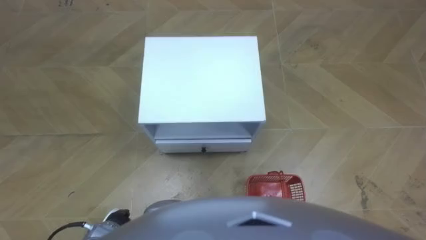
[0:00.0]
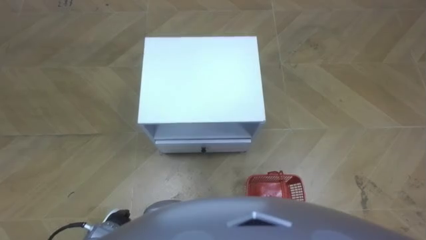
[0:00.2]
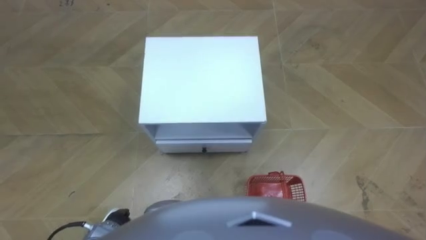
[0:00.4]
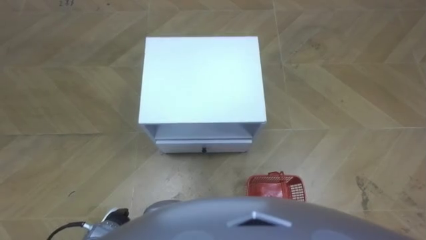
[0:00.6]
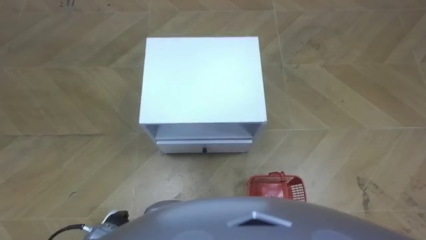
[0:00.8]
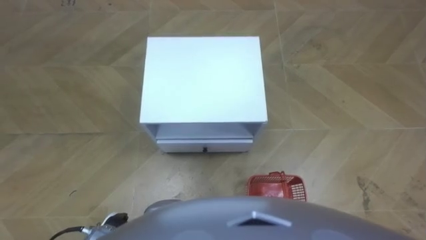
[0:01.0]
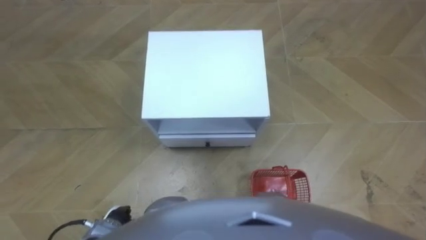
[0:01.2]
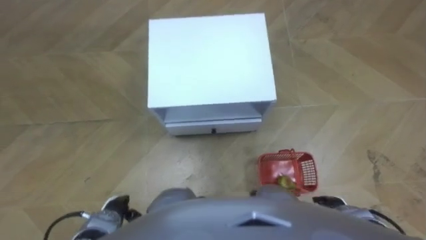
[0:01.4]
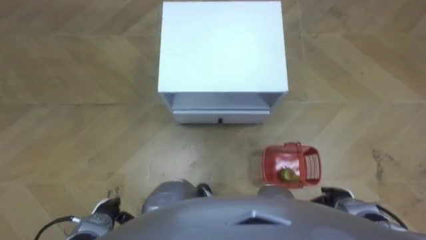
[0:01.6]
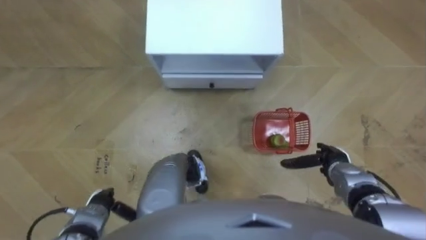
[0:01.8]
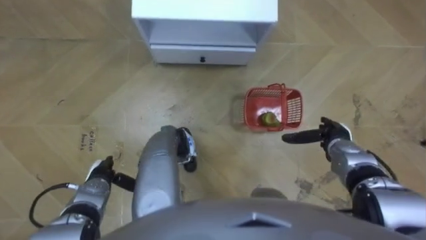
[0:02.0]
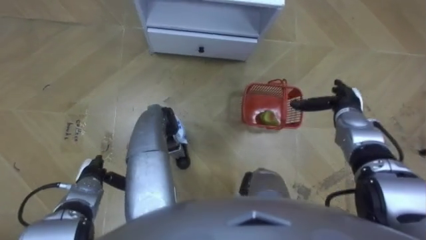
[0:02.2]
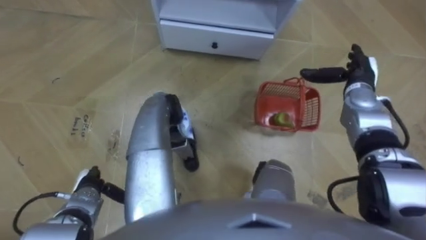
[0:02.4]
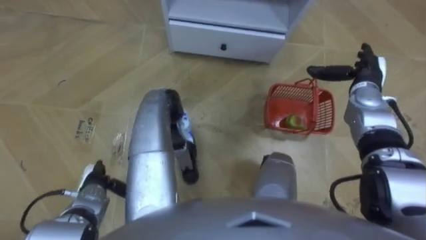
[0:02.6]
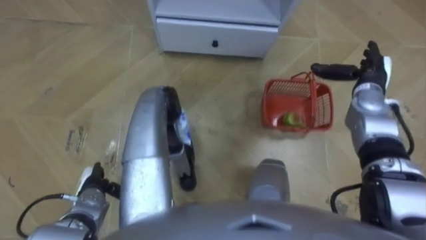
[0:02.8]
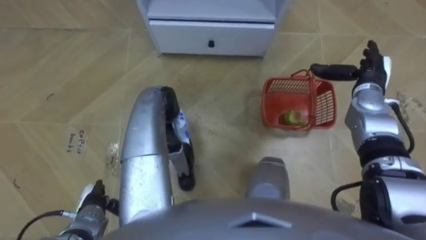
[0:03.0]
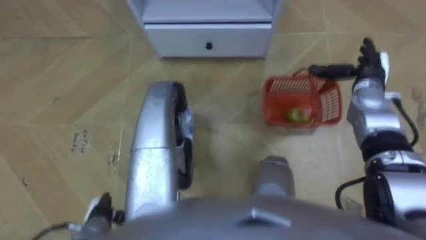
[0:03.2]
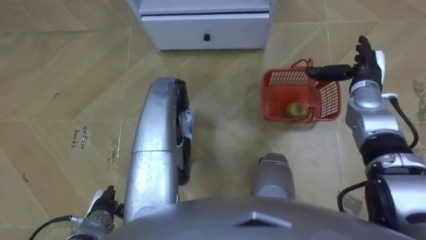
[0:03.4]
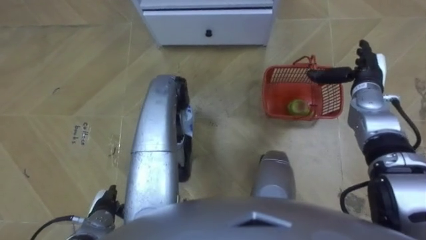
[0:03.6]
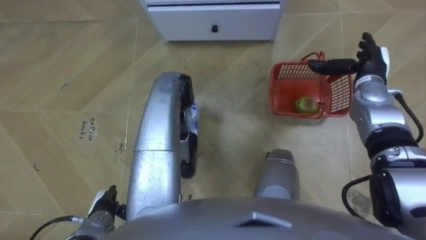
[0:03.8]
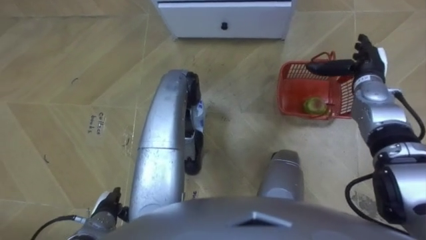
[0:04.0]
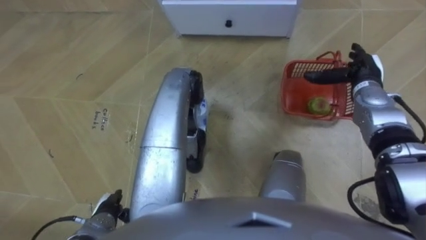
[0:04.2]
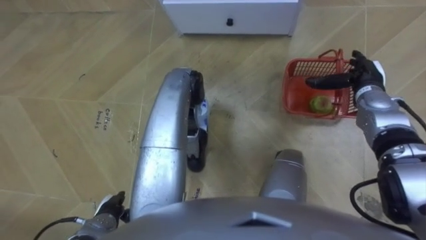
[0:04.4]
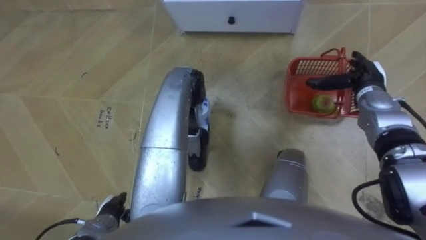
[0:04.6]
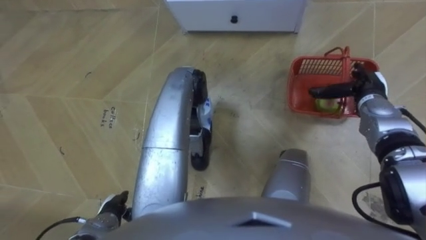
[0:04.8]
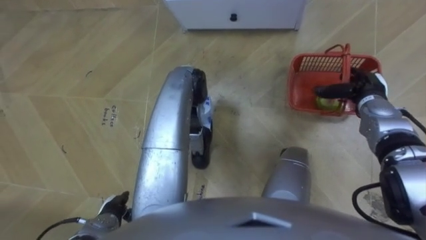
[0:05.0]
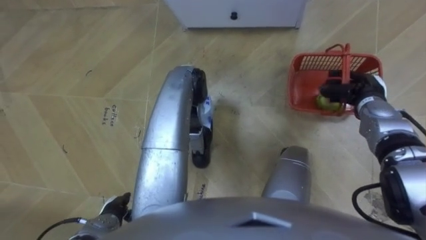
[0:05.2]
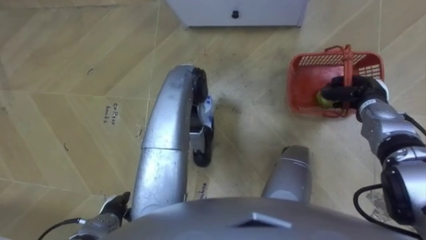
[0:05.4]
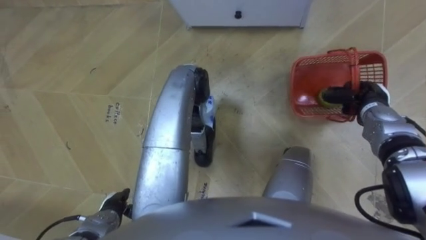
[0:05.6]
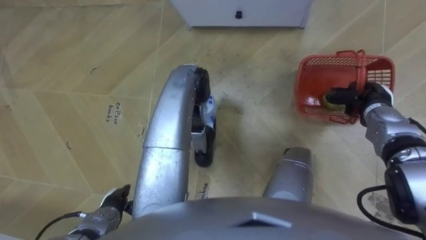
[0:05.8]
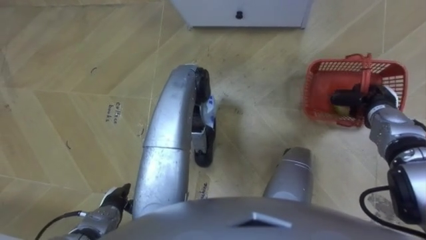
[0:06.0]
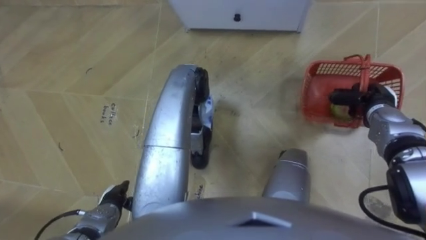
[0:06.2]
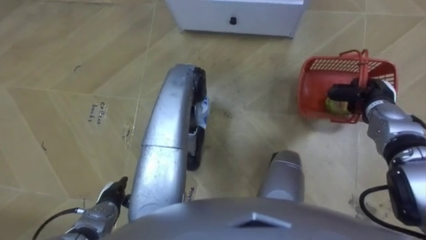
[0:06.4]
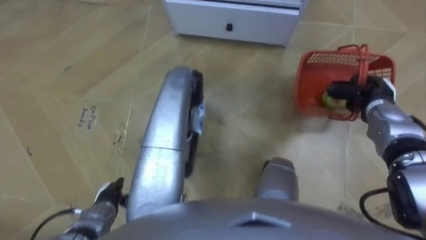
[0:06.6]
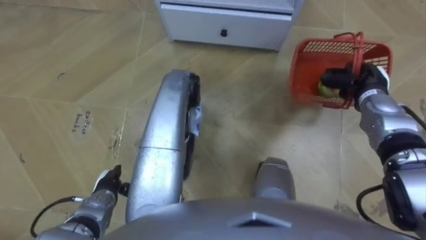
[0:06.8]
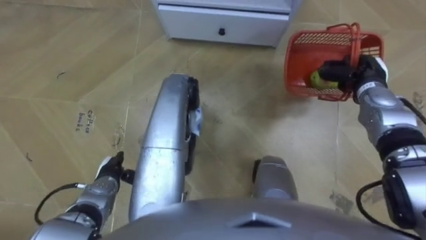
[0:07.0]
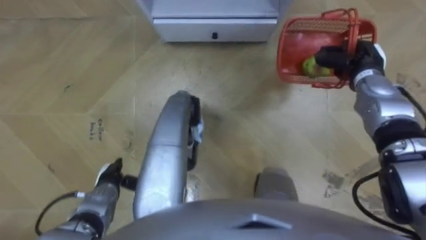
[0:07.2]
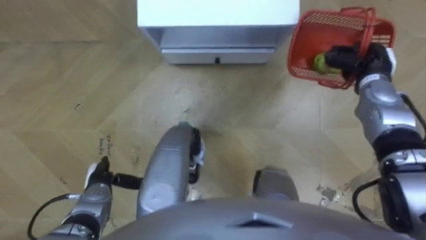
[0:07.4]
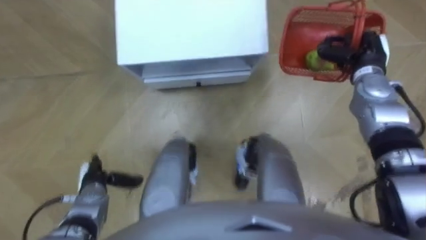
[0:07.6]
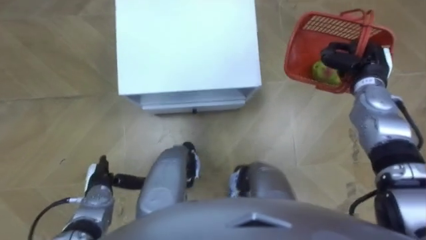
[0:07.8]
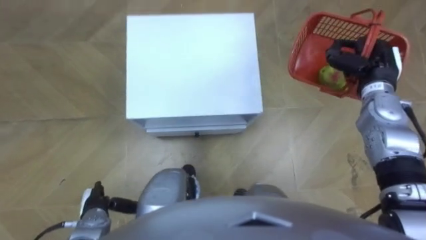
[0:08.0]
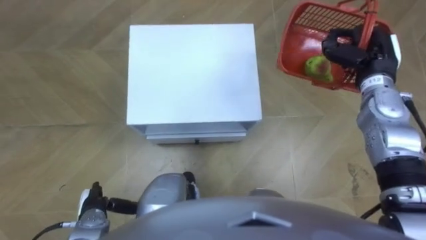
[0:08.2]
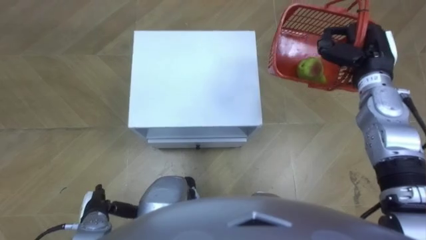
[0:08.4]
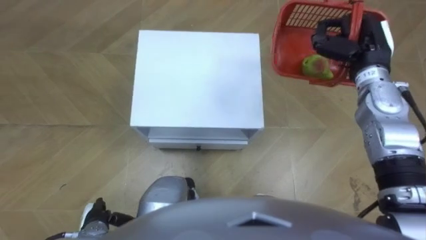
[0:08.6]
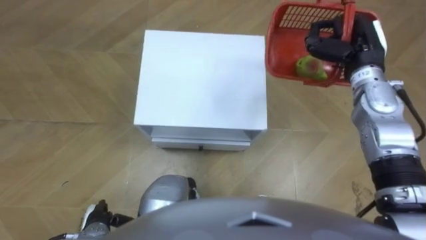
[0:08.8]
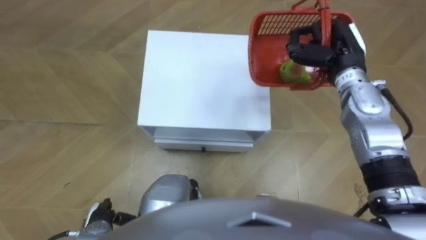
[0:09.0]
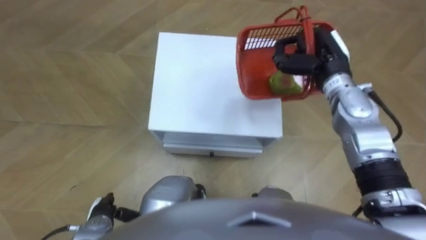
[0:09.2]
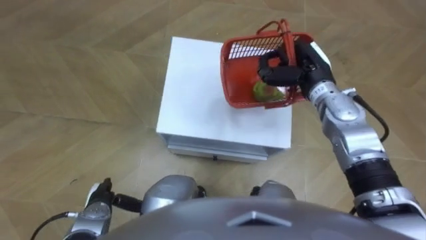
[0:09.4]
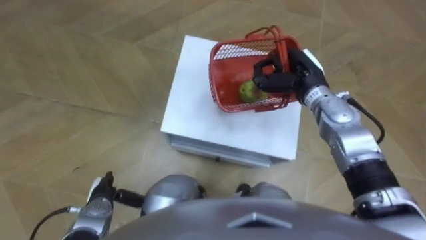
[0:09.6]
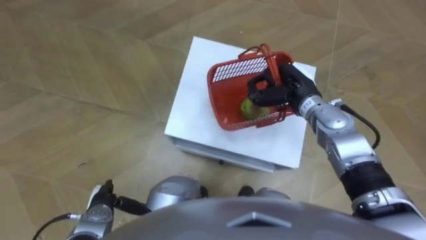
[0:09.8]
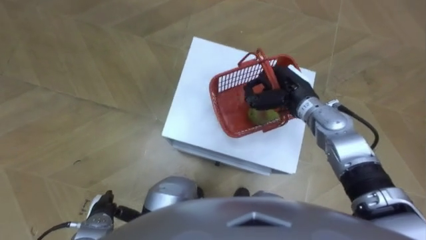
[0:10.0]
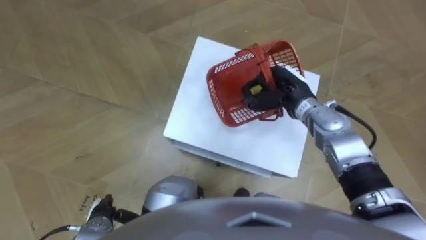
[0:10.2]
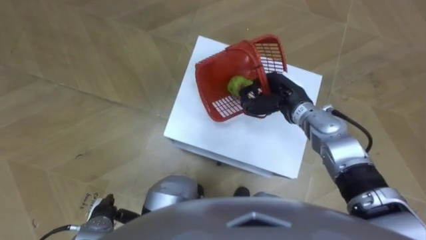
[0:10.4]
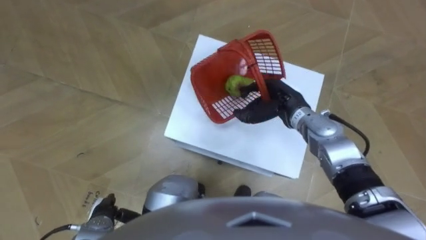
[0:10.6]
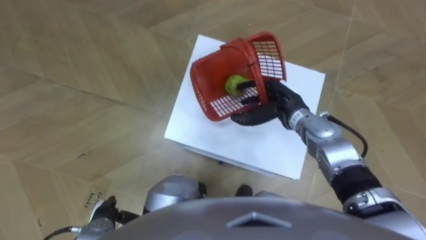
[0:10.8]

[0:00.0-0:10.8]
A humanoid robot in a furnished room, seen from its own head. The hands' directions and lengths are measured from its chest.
Task of the whole recording: Pick up the fruit basket from the floor and place it on the cabinet.
0:01.6 to 0:03.0: The left hand moves roughly 10 cm forward and comes back. Meanwhile the right hand heads forward and upward, covering approximately 30 cm.
0:04.6 to 0:06.2: The right hand changes place by some 5 cm, and closes up.
0:06.2 to 0:07.8: The right hand goes about 5 cm upward. The left hand ends up roughly 5 cm from where it was.
0:07.8 to 0:09.2: The left hand travels backward by approximately 5 cm. Meanwhile the right hand travels to the left by about 10 cm.
0:09.2 to 0:10.8: The right hand heads downward and to the left, covering some 10 cm, and opens its fingers.

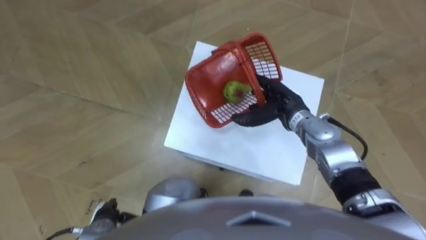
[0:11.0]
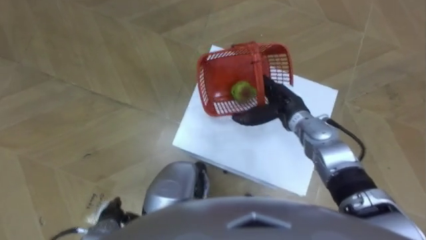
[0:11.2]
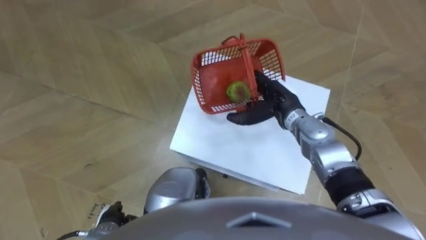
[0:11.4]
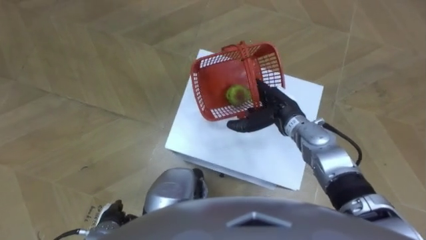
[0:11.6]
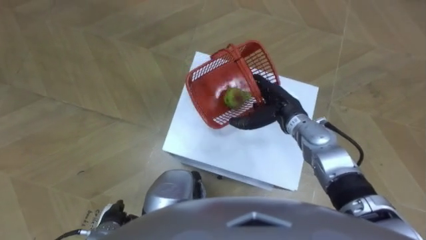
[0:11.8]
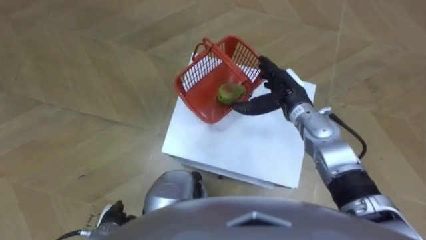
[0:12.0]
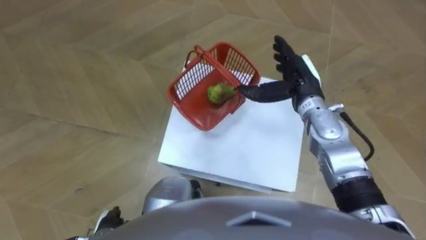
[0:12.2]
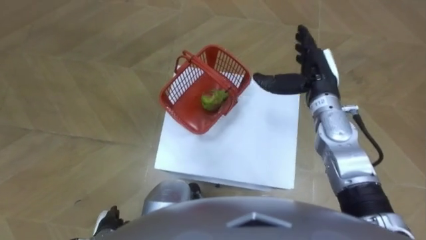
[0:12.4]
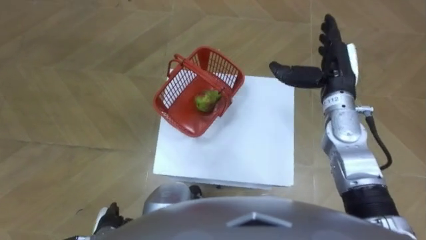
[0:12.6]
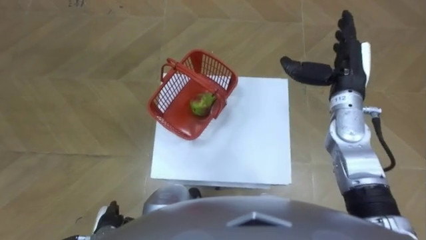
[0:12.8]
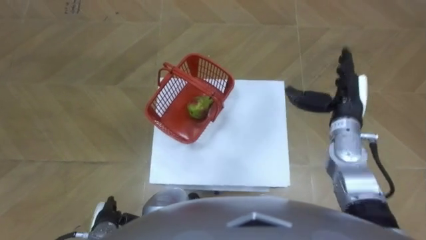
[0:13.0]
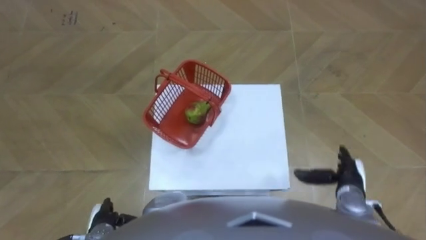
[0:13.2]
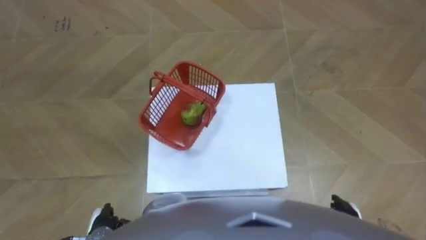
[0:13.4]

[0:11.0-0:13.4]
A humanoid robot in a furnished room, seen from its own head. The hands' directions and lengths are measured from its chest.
Task of the whole recording: Pick up the fruit basket from the floor and place it on the cabinet.
0:11.0 to 0:12.2: The right hand moves upward, some 5 cm.
0:12.2 to 0:13.4: The right hand is displaced backward, downward and to the right by roughly 35 cm.

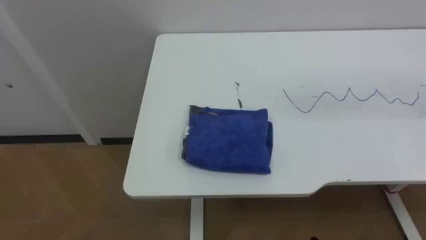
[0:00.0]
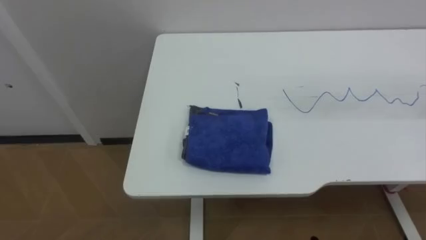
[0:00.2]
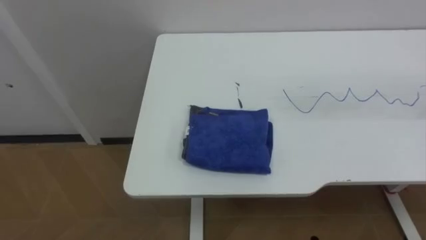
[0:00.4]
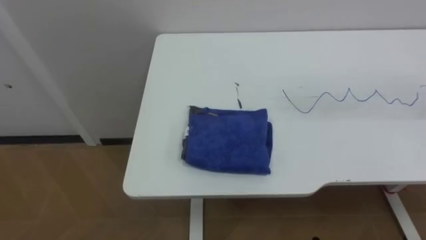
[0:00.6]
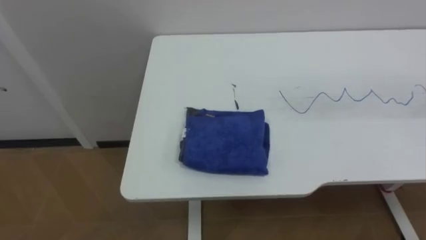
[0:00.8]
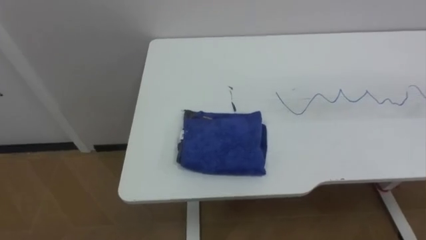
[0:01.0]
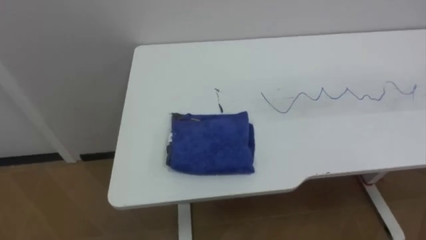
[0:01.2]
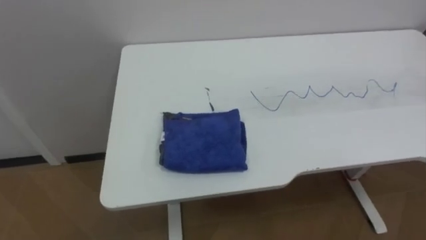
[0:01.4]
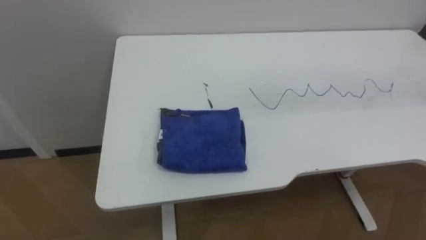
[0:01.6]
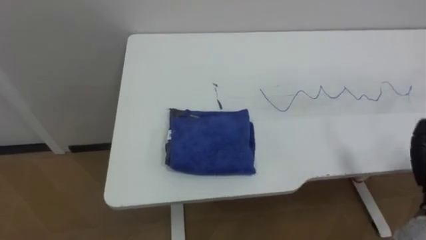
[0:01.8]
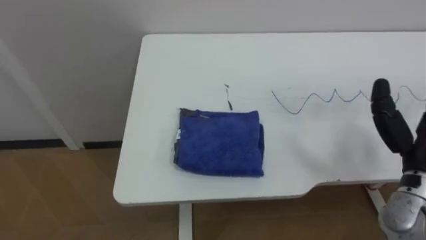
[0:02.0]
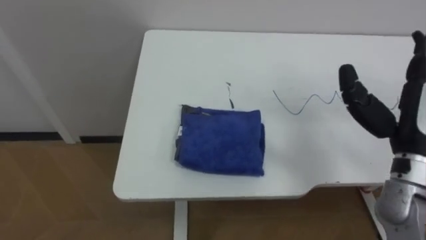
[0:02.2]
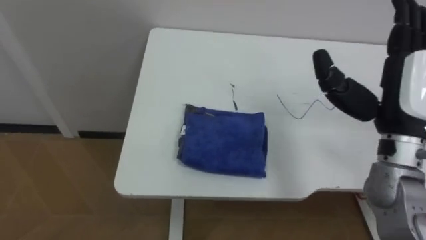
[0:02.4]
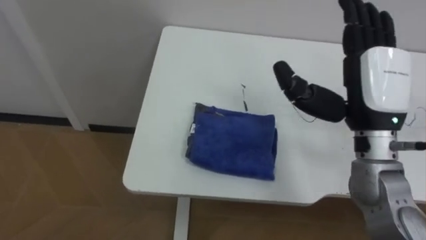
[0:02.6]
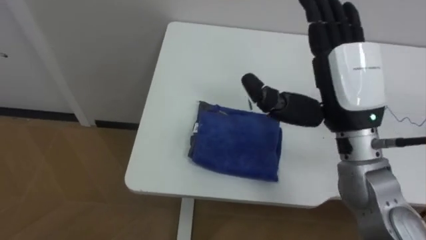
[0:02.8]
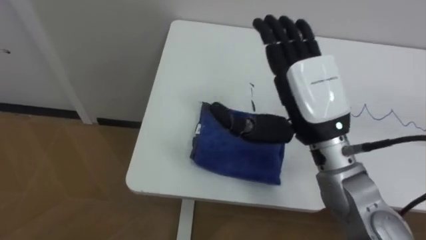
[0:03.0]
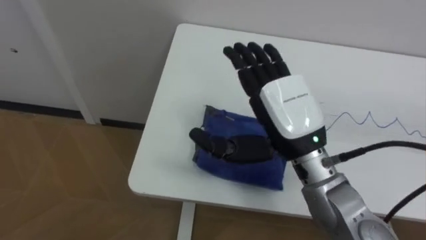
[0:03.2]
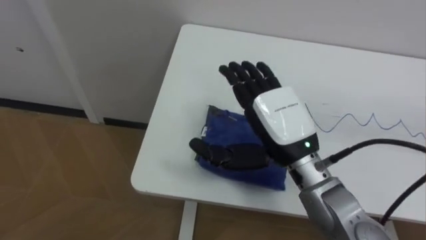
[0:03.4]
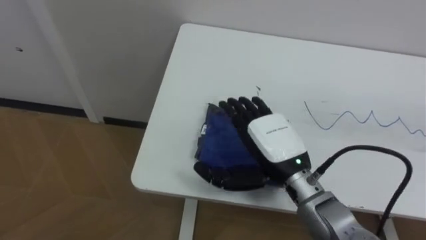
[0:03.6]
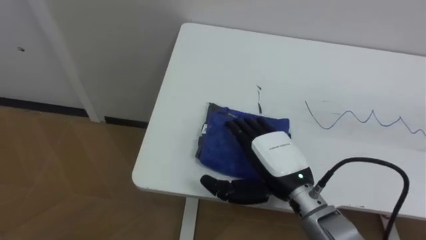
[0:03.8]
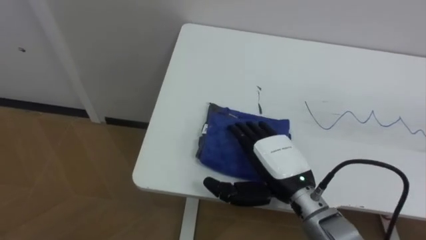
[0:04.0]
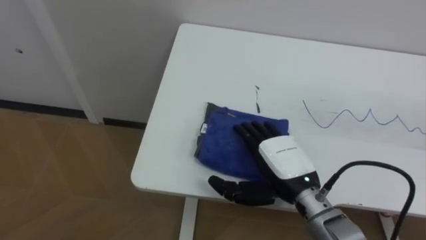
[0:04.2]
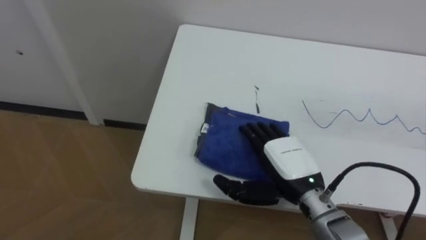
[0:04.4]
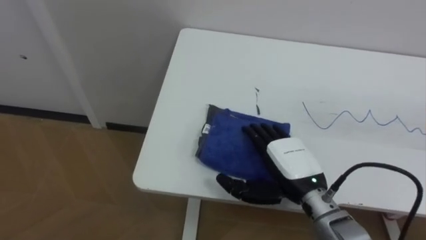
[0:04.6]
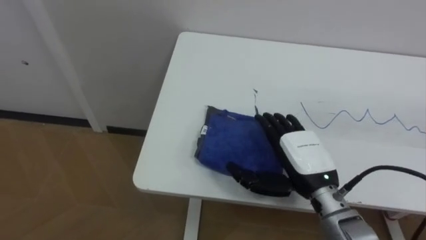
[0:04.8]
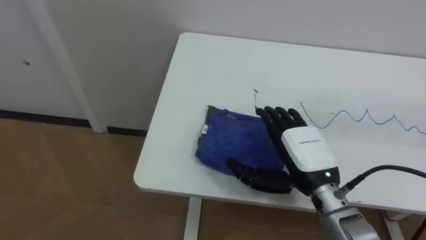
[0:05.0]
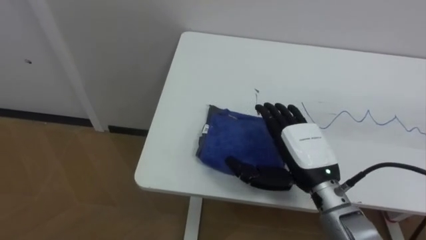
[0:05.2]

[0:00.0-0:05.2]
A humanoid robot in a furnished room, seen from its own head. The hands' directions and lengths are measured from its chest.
Task of the whole recording: Wipe the blue pen marks off the table with the rag.
0:03.4 to 0:05.2: The right hand goes roughly 10 cm downward and to the right.
